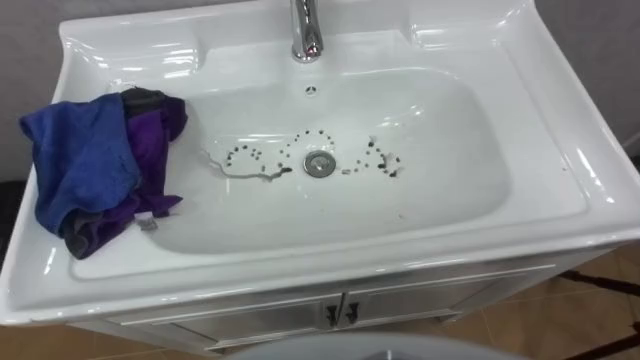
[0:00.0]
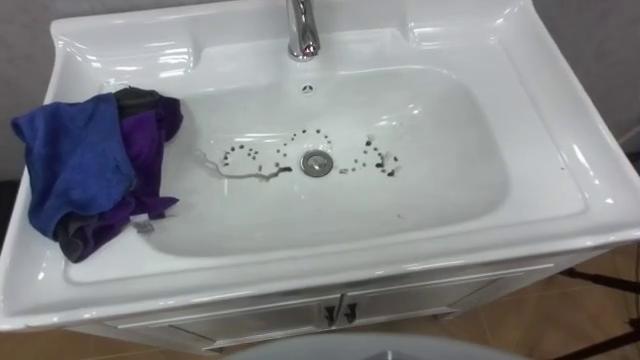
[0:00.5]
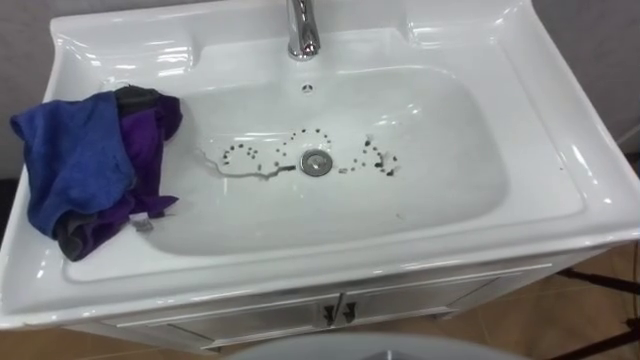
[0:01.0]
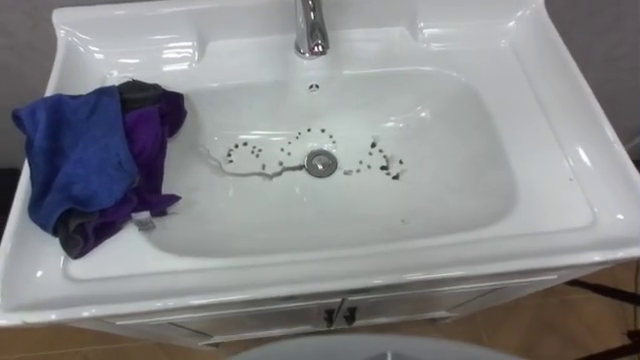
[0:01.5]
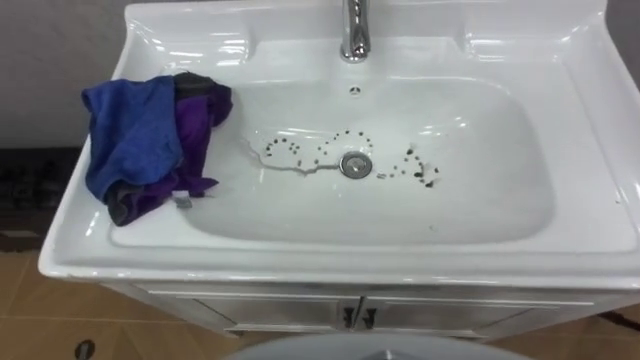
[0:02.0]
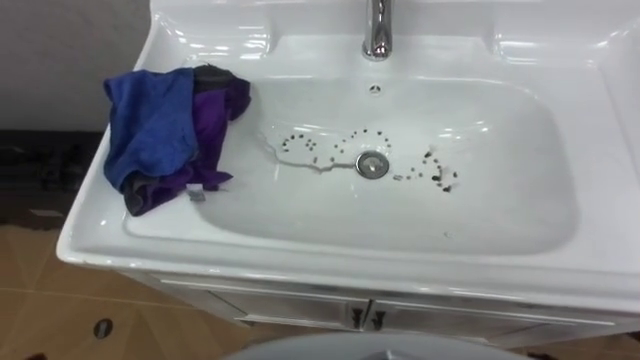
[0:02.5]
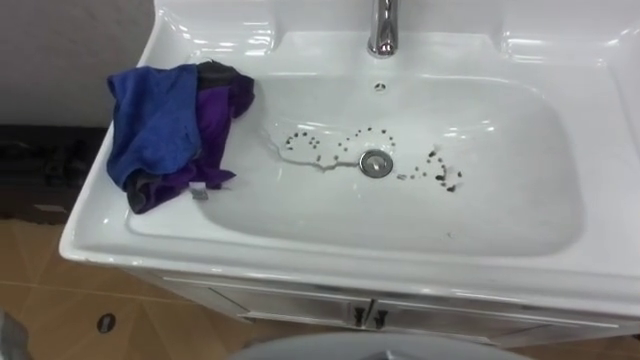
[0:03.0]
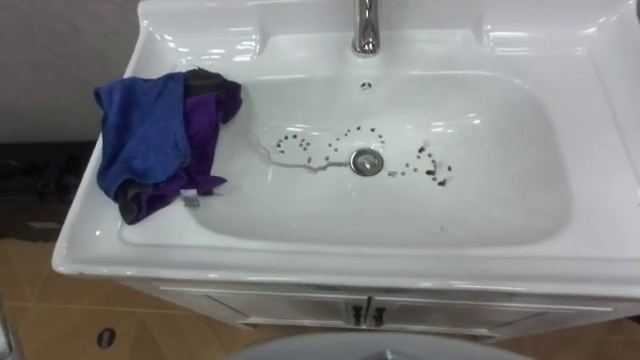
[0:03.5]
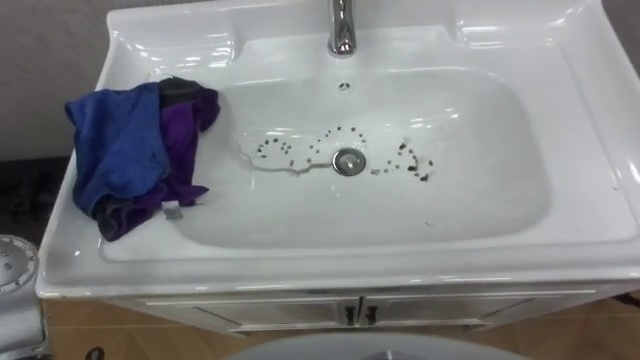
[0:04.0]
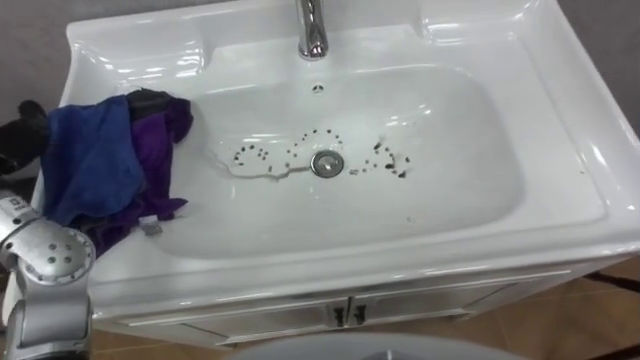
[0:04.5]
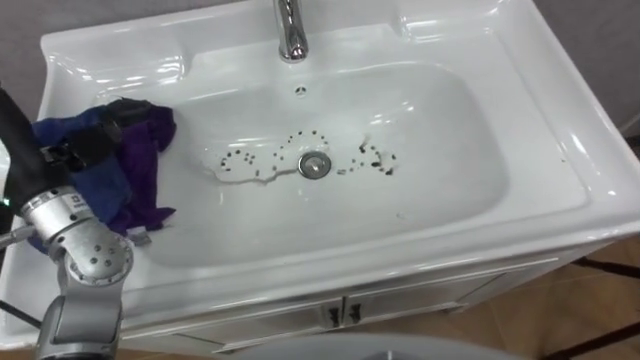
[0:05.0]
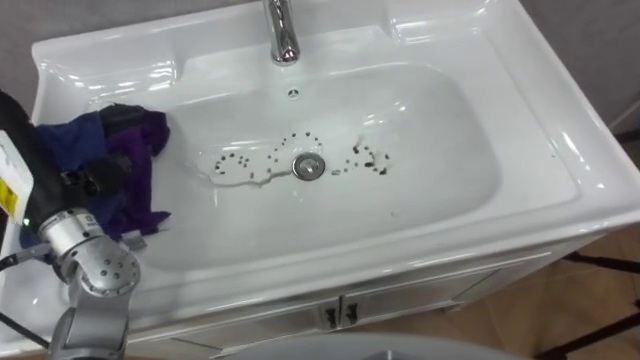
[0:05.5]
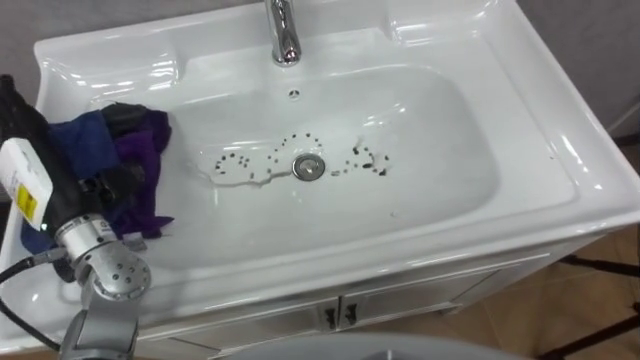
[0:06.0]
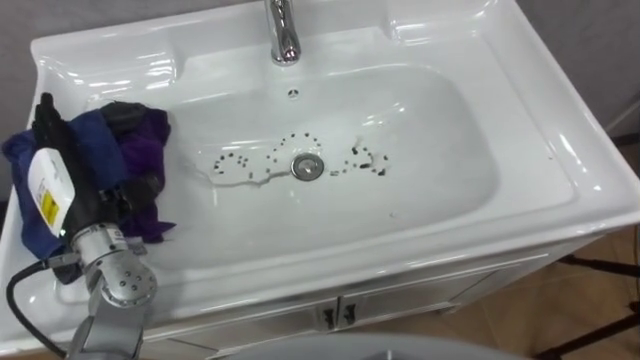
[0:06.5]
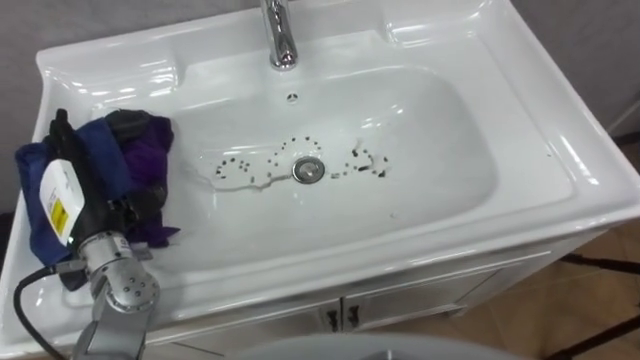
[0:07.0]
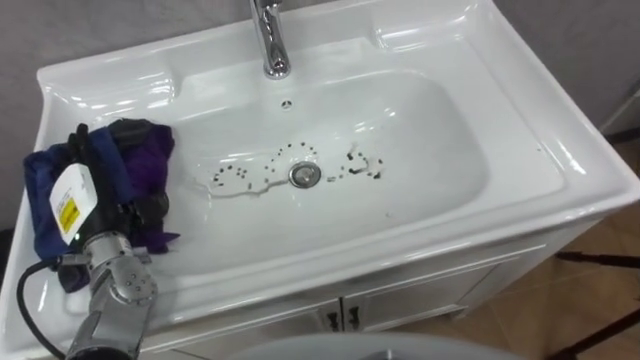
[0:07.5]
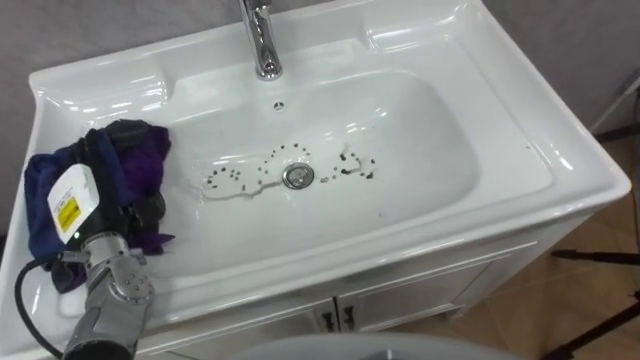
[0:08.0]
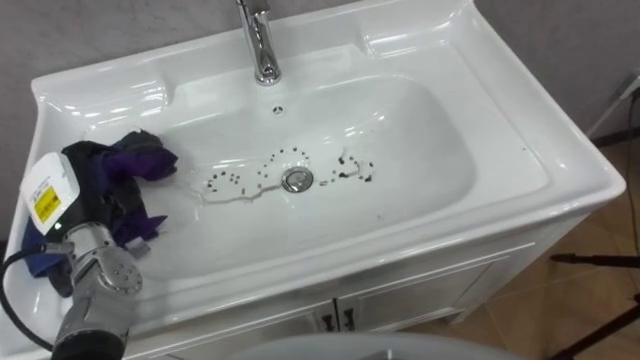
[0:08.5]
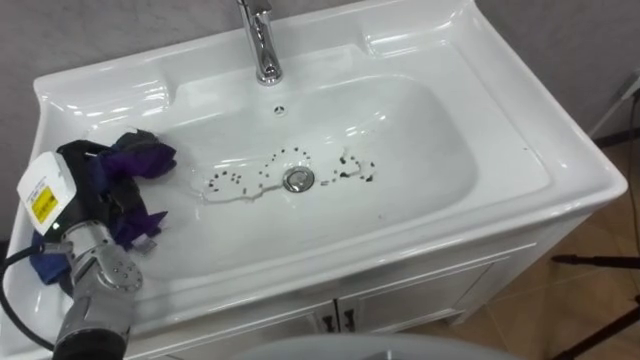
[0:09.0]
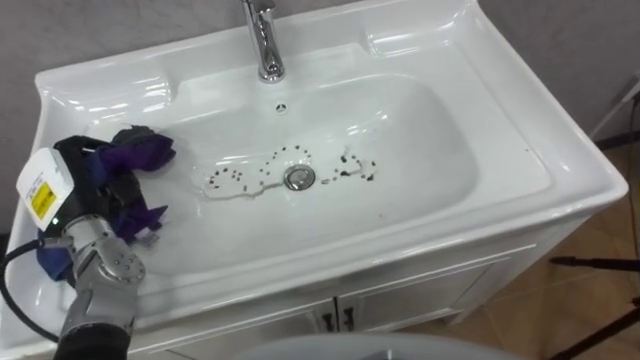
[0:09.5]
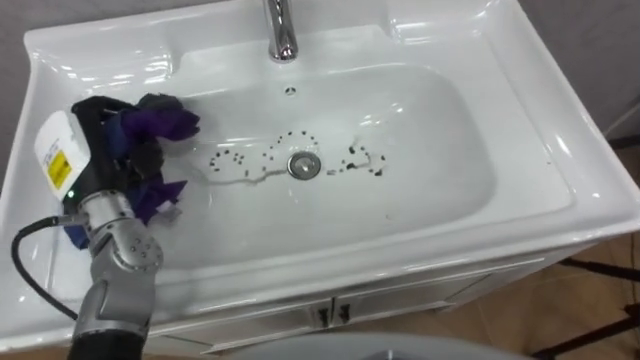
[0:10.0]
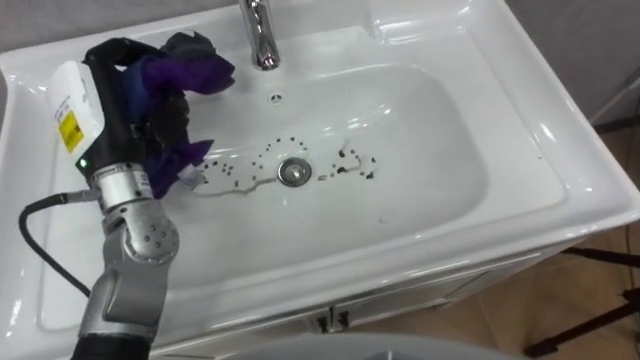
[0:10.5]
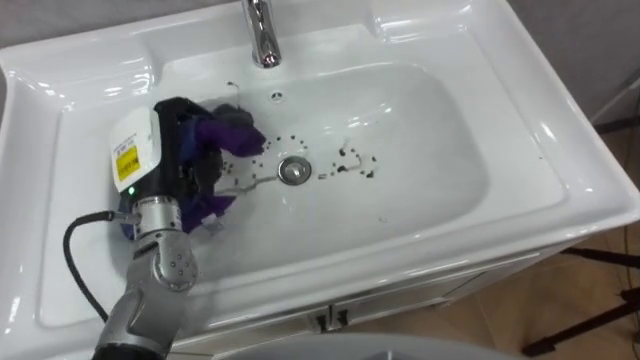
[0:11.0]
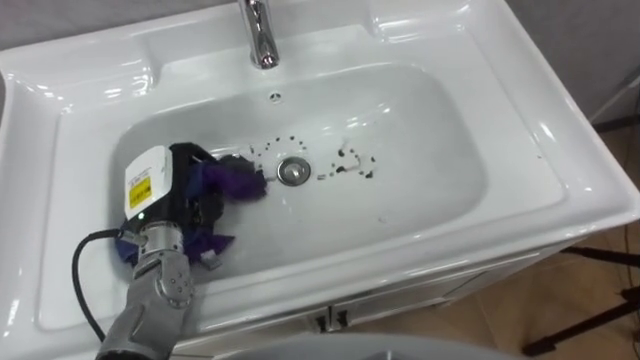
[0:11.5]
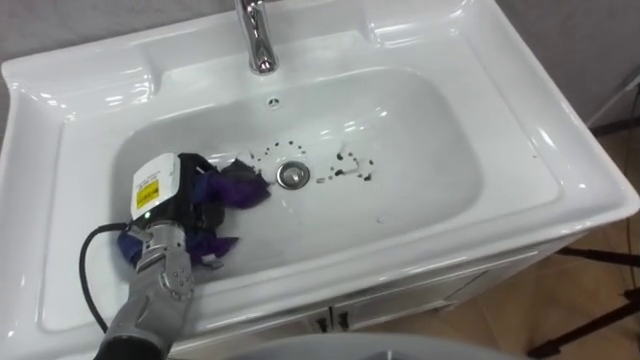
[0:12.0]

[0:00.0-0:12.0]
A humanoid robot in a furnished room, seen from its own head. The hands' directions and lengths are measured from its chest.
Task of the whole recording: Use the cloth on the right to wipe away the black stain in the sink.
0:06.0 to 0:08.0: The left hand is displaced downward by about 10 cm.
0:08.0 to 0:10.0: The left hand travels upward by approximately 10 cm, and closes.
0:10.0 to 0:12.0: The left hand heads downward and to the right, covering some 10 cm.

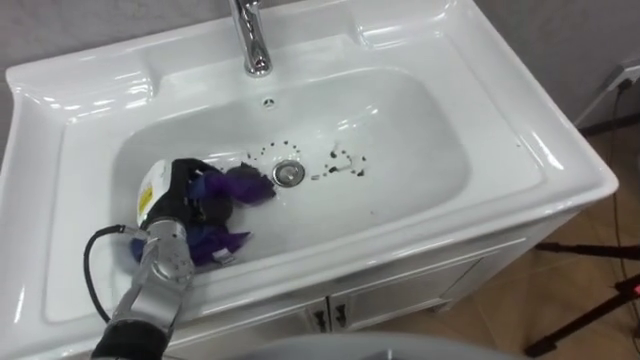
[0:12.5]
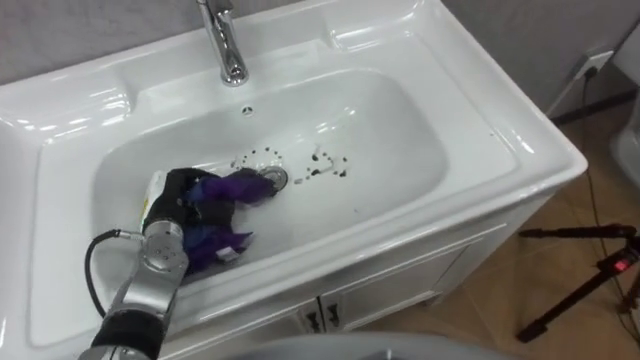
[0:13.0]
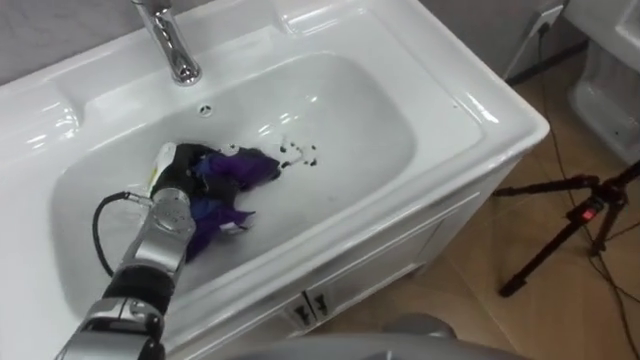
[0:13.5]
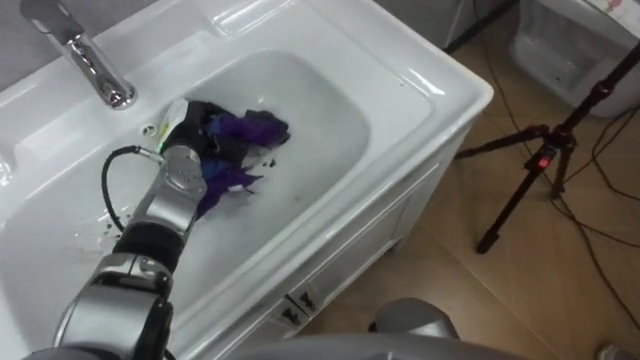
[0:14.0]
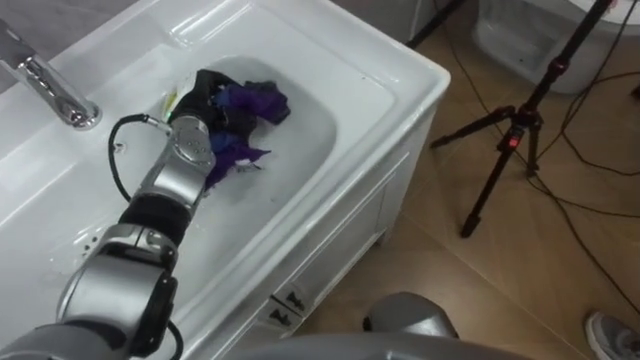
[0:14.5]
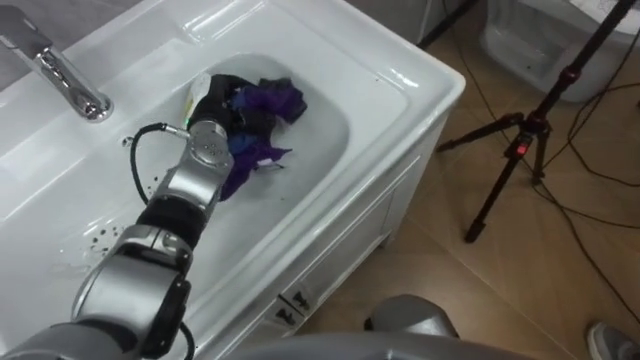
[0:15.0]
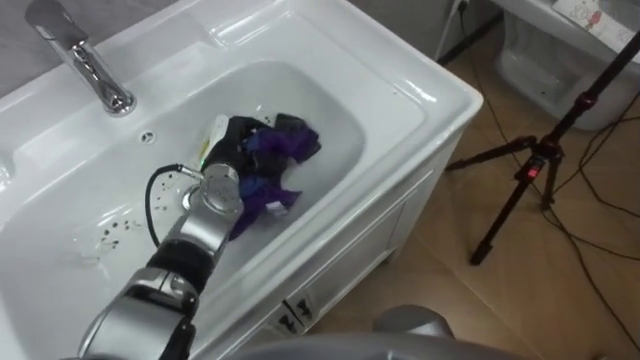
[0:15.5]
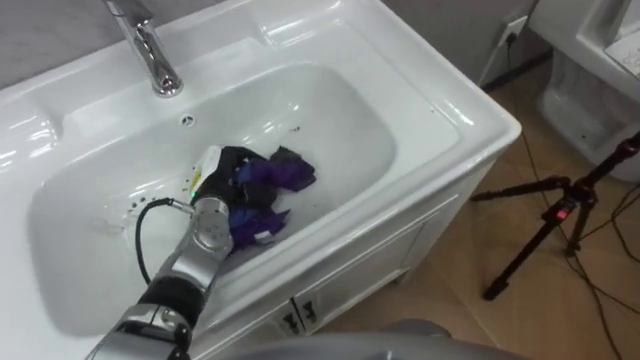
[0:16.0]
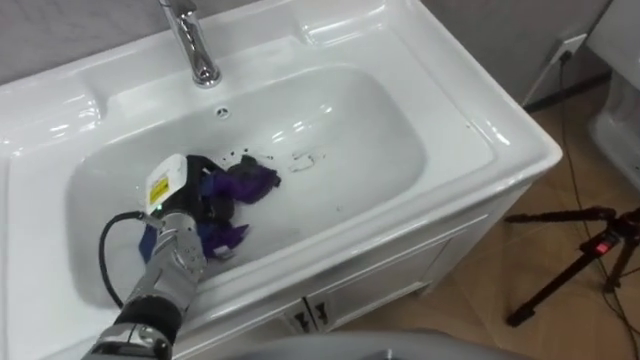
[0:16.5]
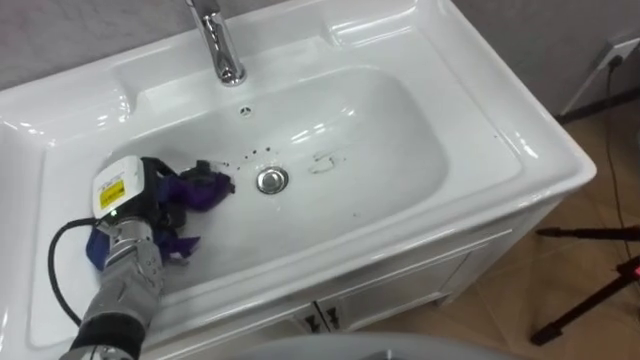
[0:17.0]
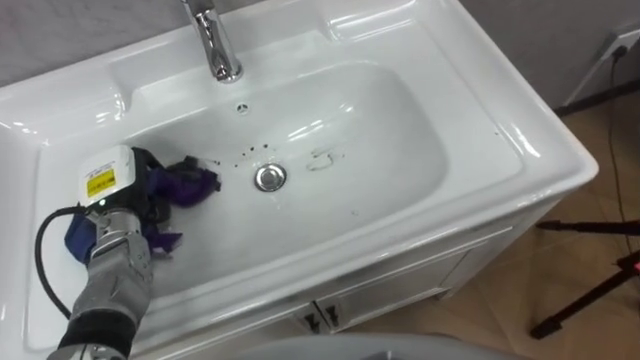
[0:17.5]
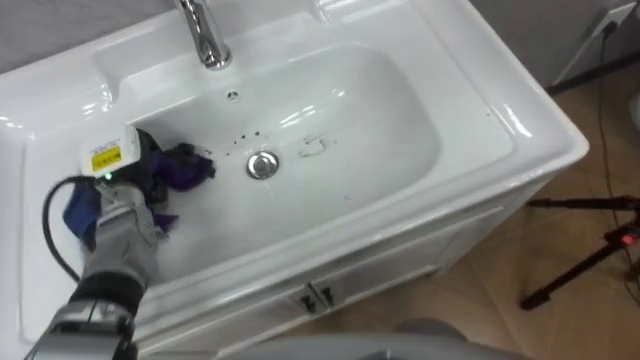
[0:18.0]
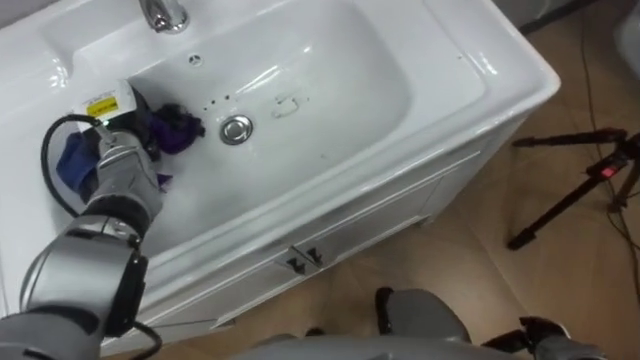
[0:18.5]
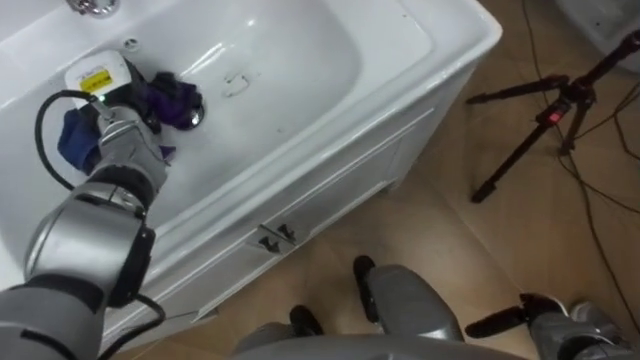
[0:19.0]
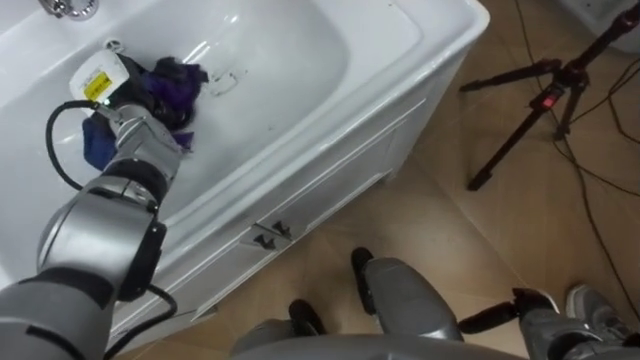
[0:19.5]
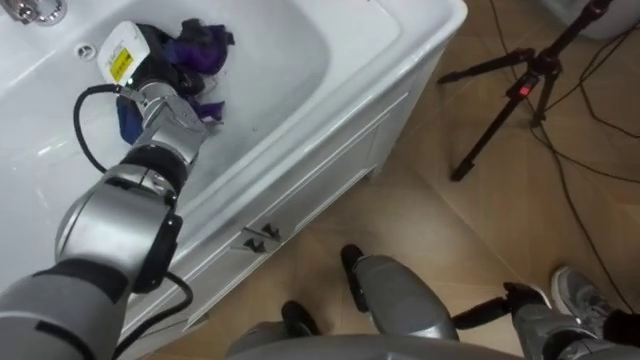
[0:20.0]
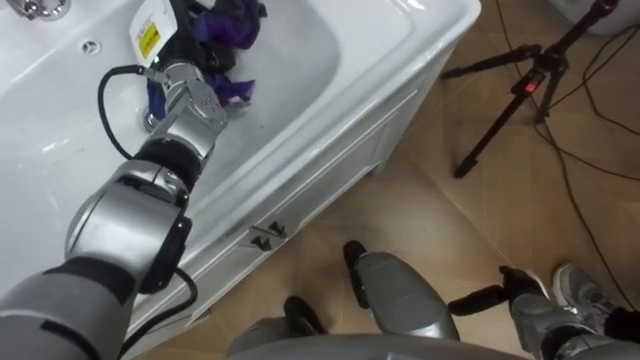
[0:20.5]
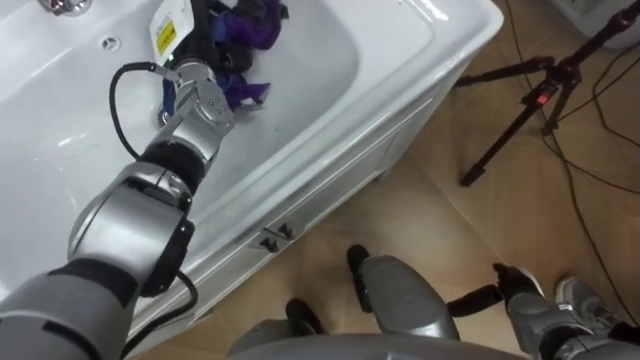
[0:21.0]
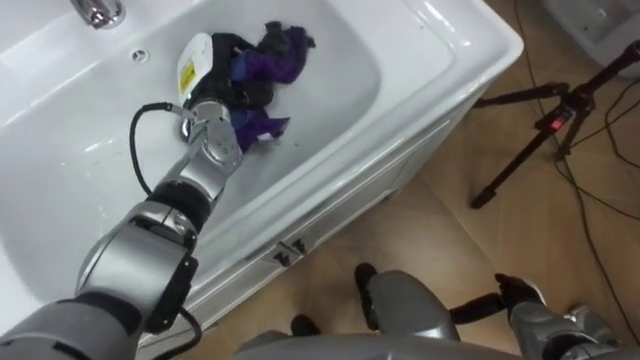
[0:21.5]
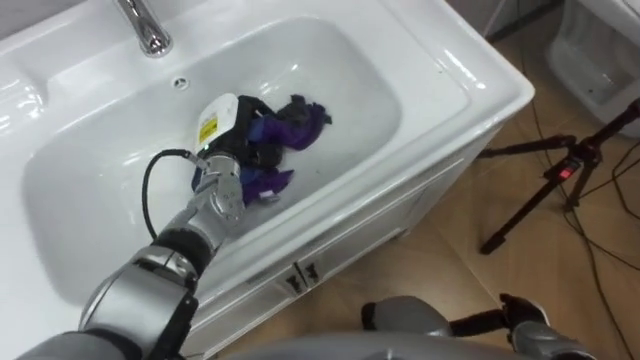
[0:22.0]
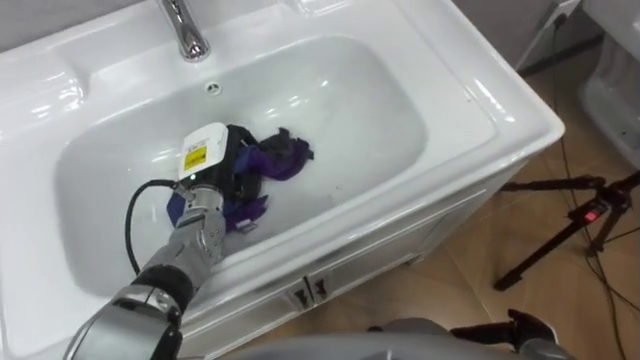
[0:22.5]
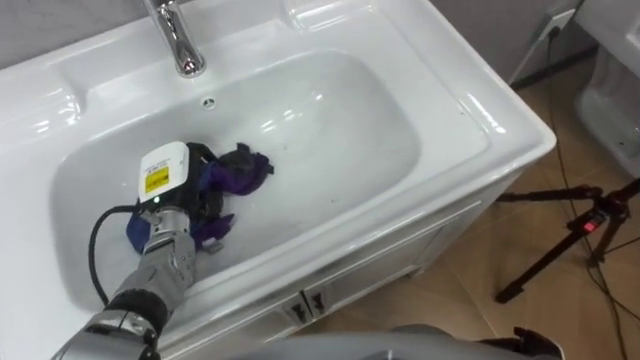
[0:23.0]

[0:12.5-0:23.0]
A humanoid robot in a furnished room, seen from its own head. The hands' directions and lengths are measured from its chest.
Task of the whole recording: Use the cloth on the right to wipe away the black stain in the sink.
0:12.5 to 0:14.5: The left hand moves forward and upward, some 15 cm.
0:14.5 to 0:16.5: The left hand is displaced backward and downward by some 15 cm.
0:16.5 to 0:19.0: The left hand heads forward, upward and to the left, covering approximately 15 cm.
0:19.0 to 0:21.0: The left hand goes roughly 10 cm to the right. The right hand changes place by approximately 5 cm.
0:21.0 to 0:23.0: The left hand shifts approximately 20 cm backward and downward.
